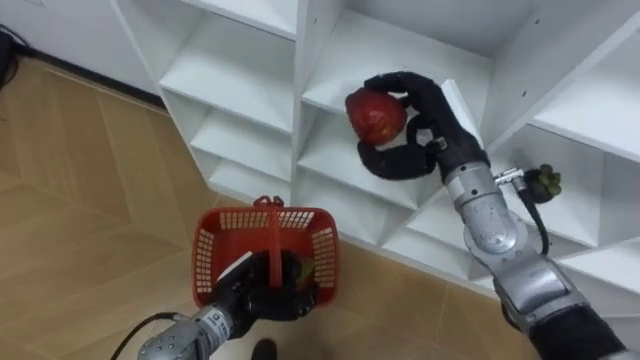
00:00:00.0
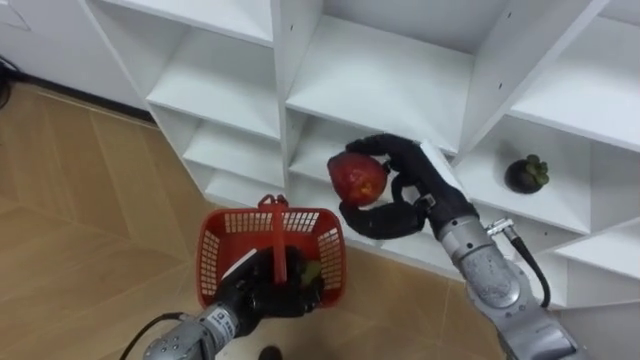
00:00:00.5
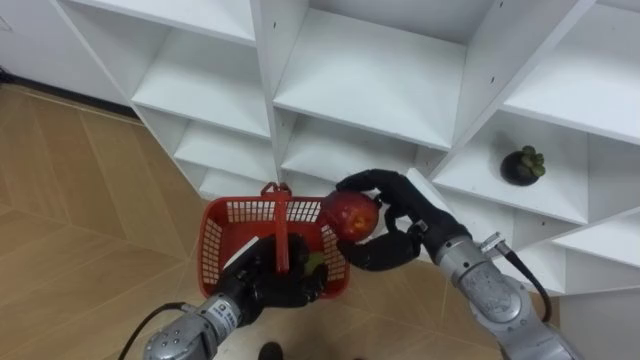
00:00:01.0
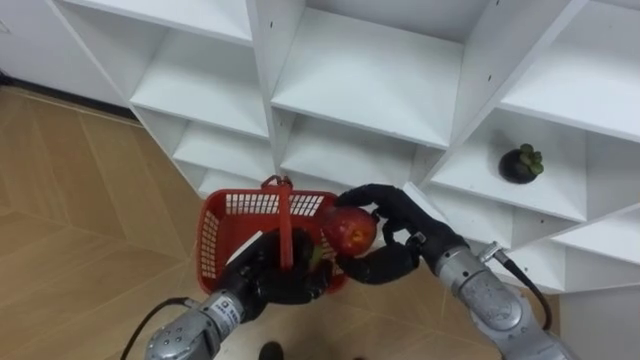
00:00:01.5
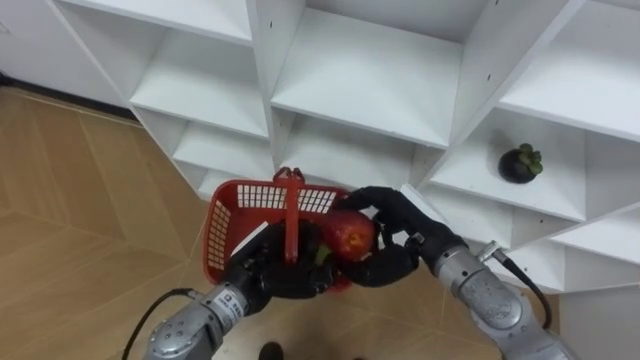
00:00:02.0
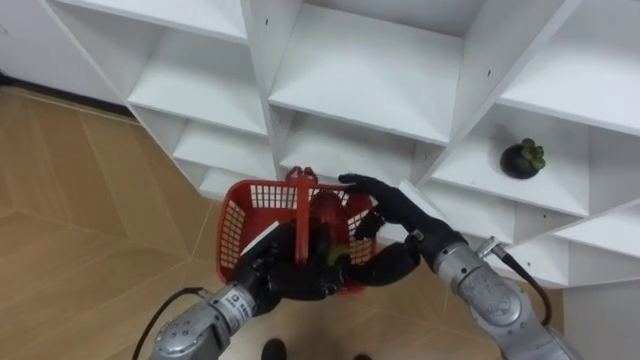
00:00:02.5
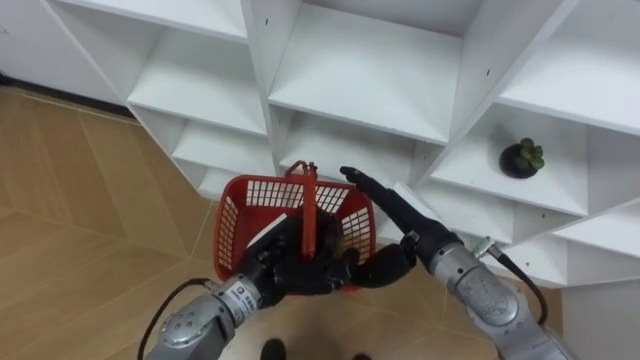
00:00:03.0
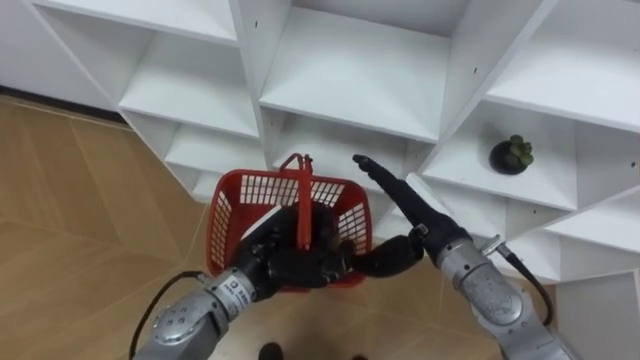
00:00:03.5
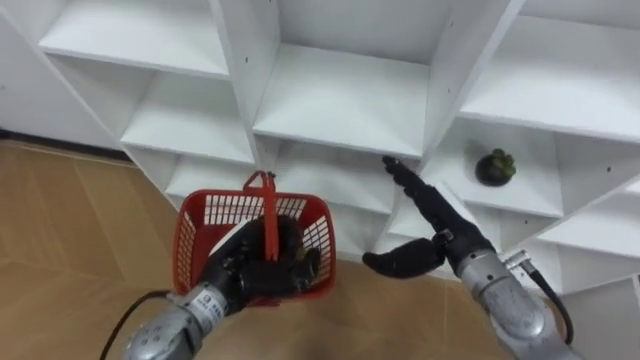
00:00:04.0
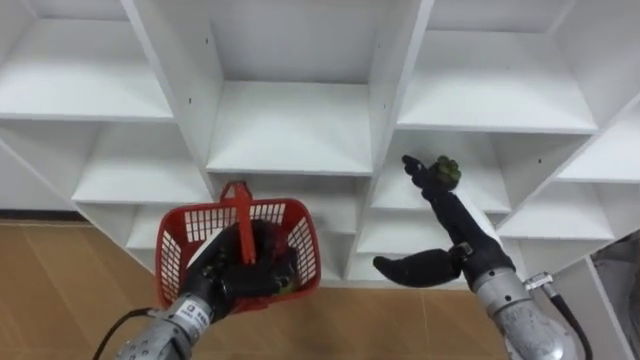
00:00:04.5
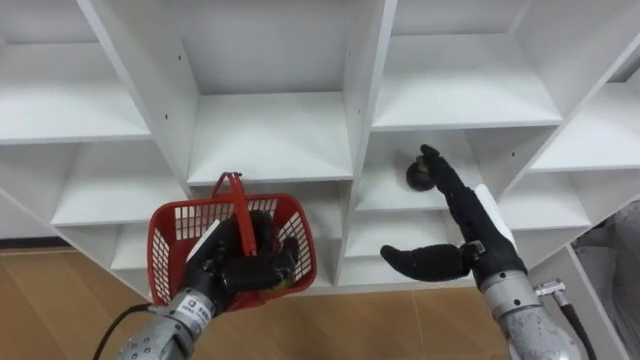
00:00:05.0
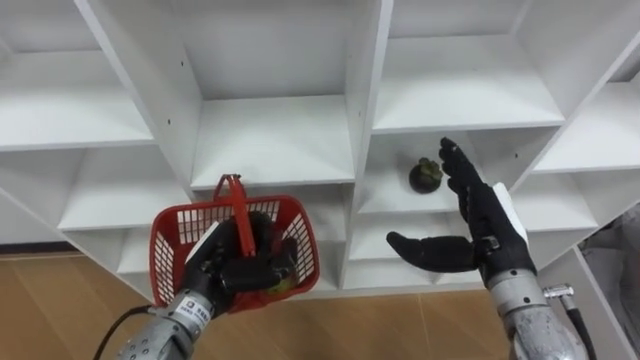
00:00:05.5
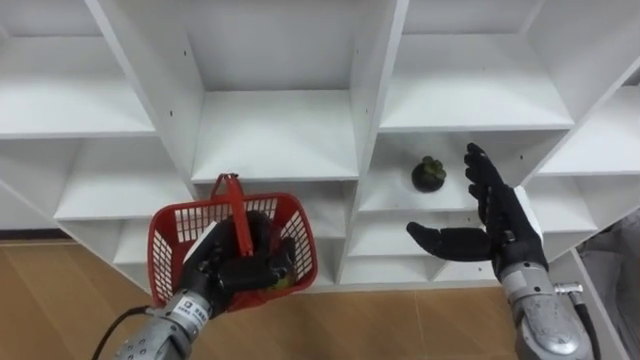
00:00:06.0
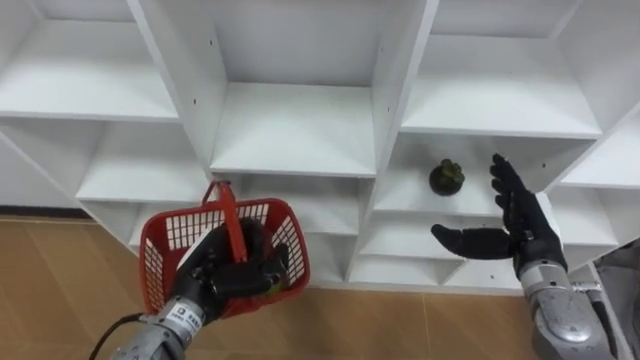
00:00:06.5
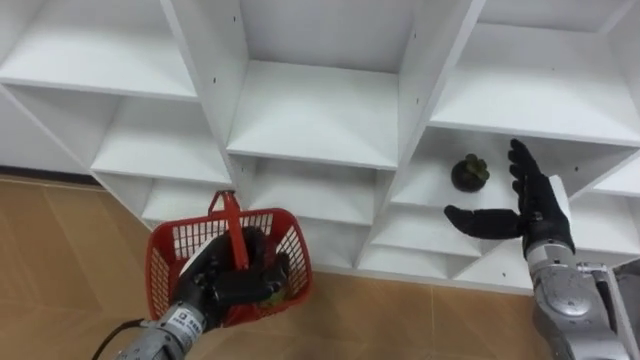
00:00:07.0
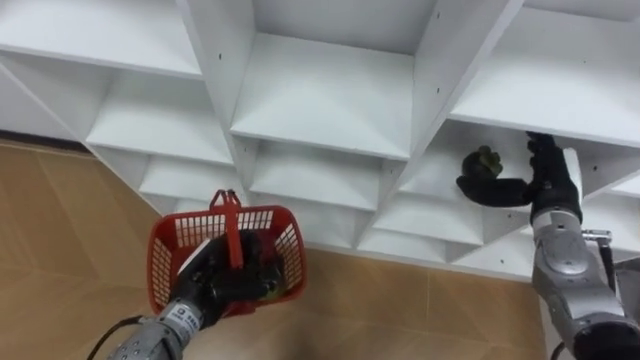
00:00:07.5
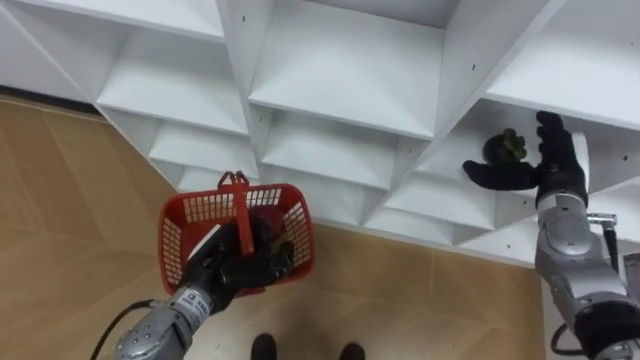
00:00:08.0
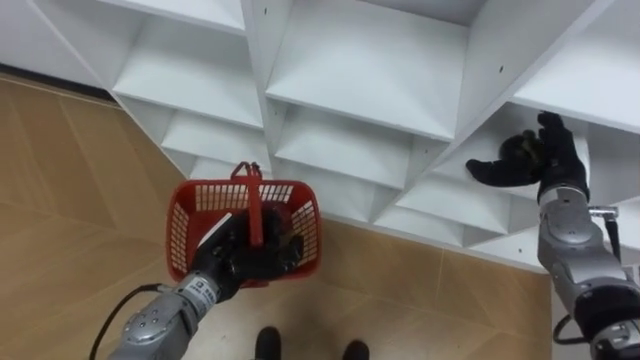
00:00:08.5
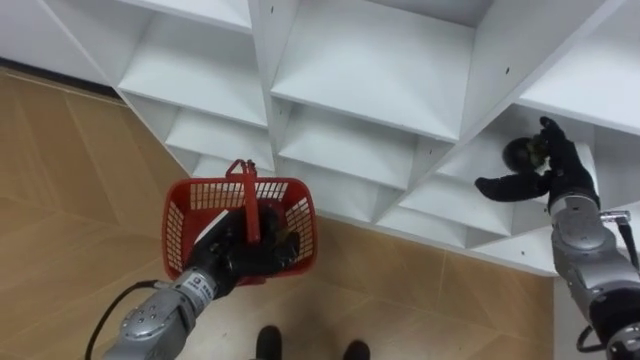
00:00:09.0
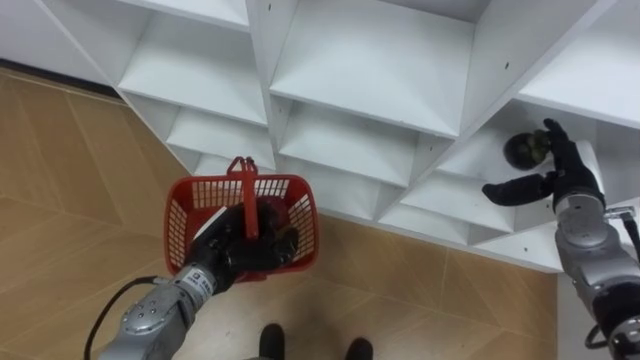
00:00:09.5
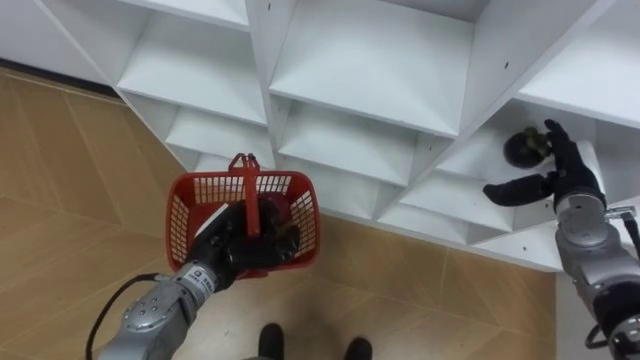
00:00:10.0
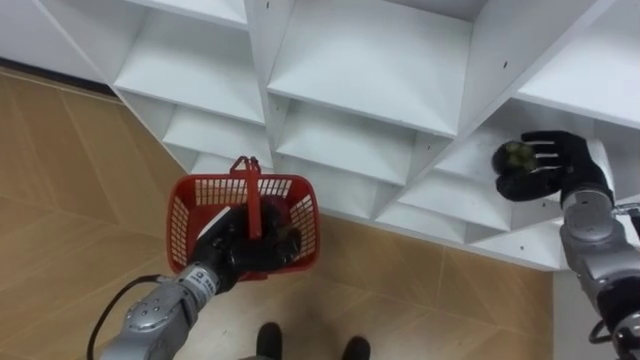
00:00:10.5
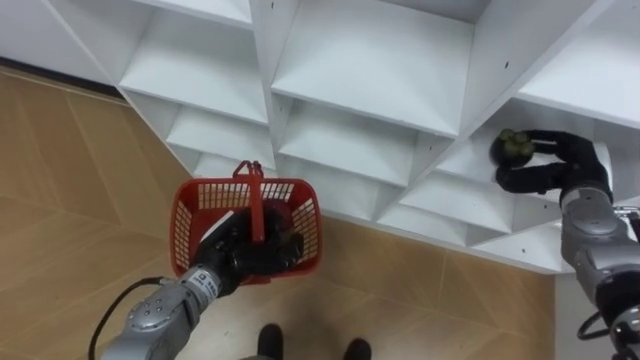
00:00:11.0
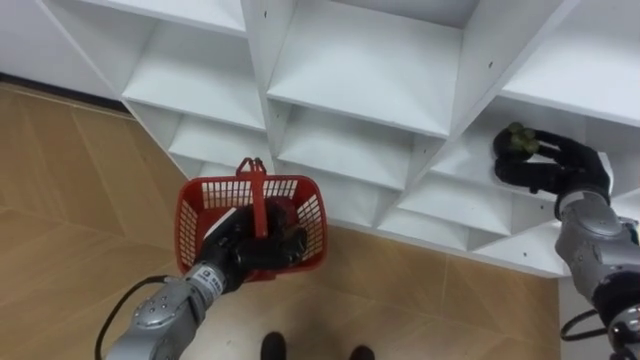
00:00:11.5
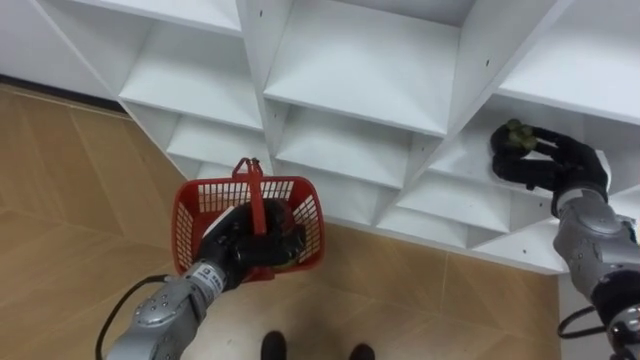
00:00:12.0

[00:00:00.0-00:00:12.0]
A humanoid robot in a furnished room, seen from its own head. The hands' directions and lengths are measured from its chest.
Task of the whole recording: Hold the basket and collect the fruits from 3 different cells of the closet into it.
00:00:00.0 to 00:00:02.0: The right hand travels downward and backward by some 10 cm, while the left hand shifts by roughly 5 cm.
00:00:02.0 to 00:00:04.0: The right hand opens up.
00:00:04.0 to 00:00:06.0: The right hand moves to the right, about 5 cm.
00:00:06.0 to 00:00:08.0: The right hand heads forward and to the right, covering approximately 10 cm.
00:00:10.0 to 00:00:12.0: The right hand closes up.

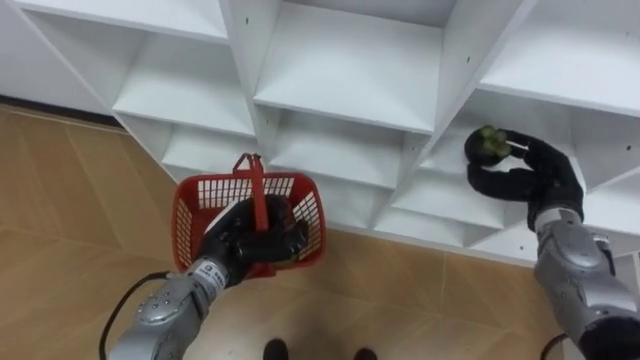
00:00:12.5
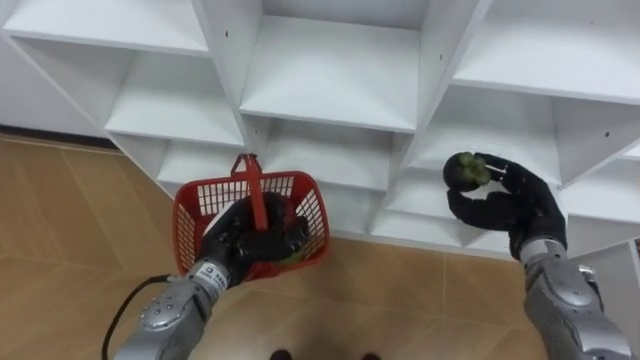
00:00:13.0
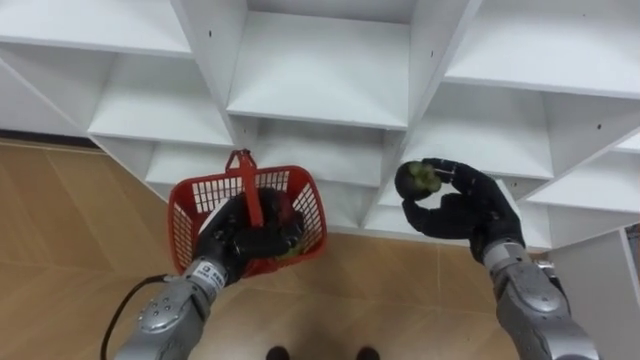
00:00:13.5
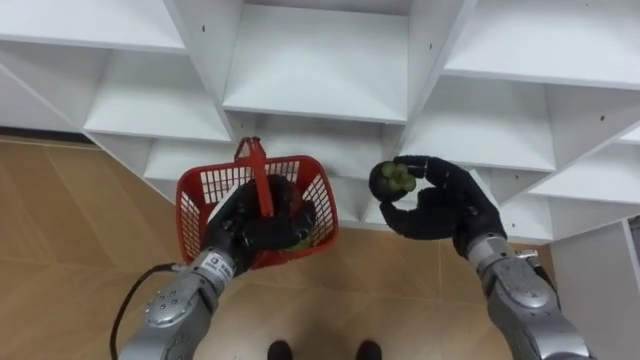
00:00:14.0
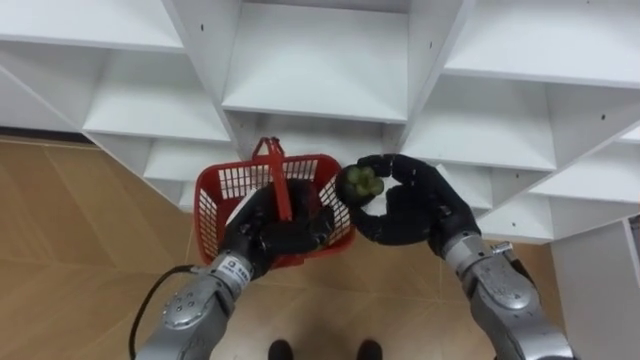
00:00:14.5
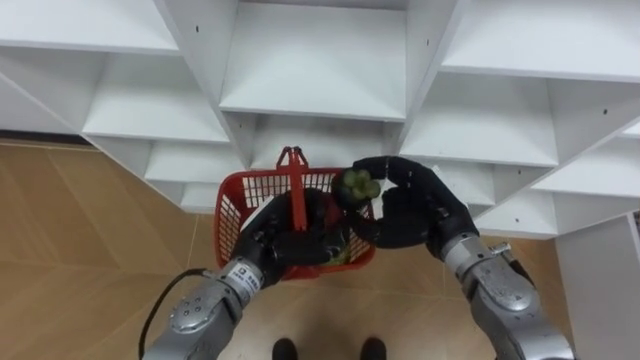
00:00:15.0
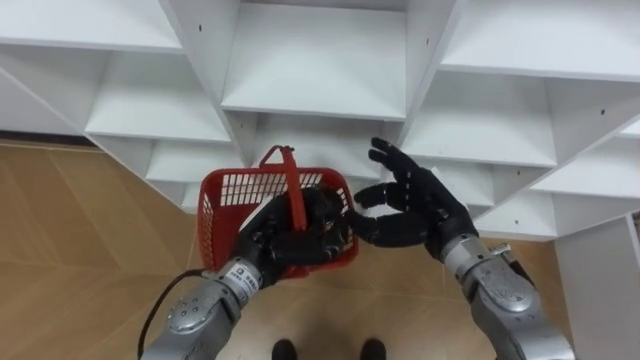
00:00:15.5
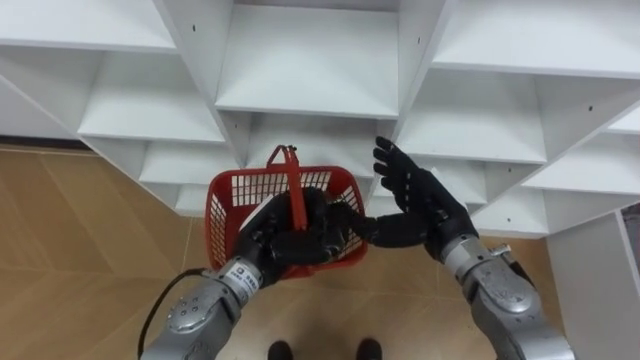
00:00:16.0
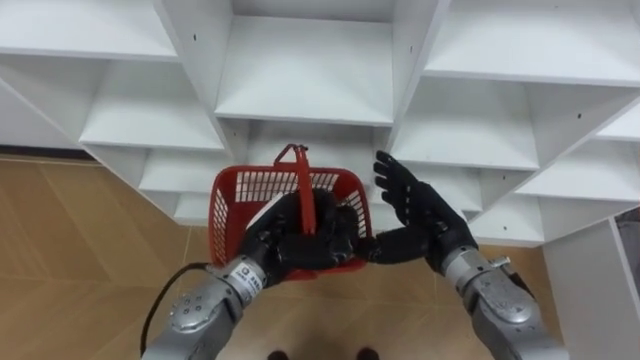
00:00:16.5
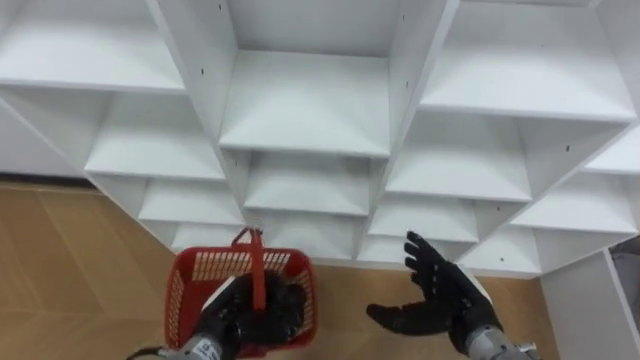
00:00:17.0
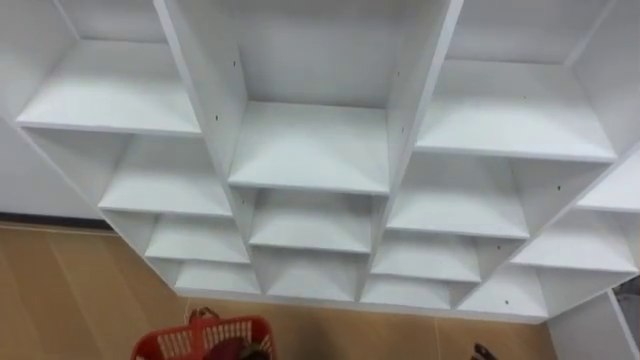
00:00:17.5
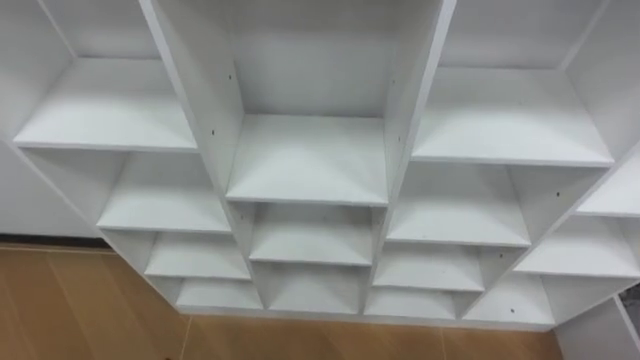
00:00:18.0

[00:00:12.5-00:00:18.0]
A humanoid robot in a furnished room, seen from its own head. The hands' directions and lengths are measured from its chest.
Task of the whole recording: Hold the basket and collect the fruits from 3 different cells of the closet into it.
00:00:12.5 to 00:00:14.5: The right hand heads to the left, covering about 15 cm.
00:00:14.5 to 00:00:16.0: The right hand opens up.

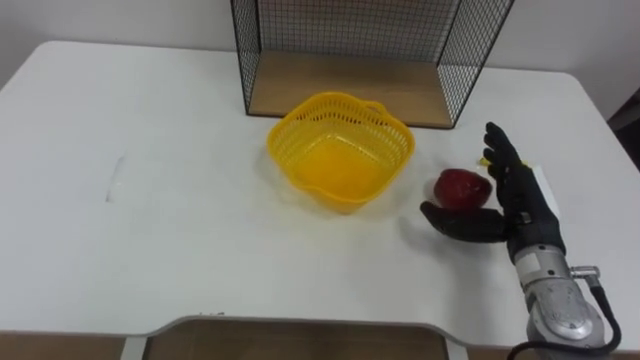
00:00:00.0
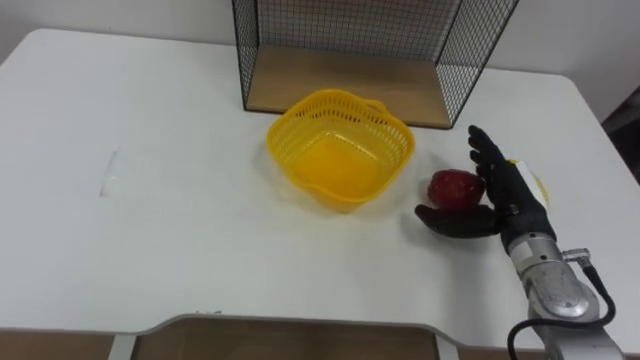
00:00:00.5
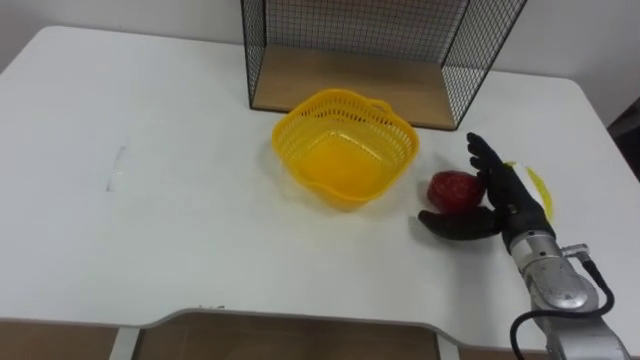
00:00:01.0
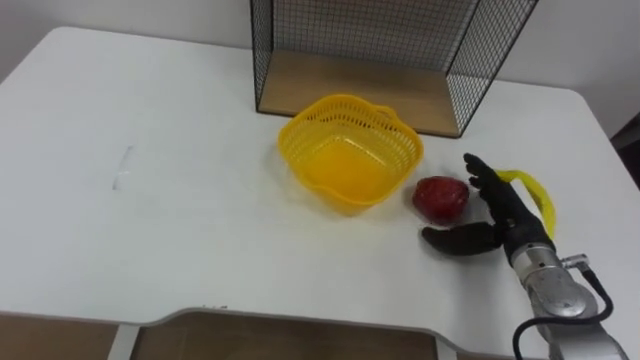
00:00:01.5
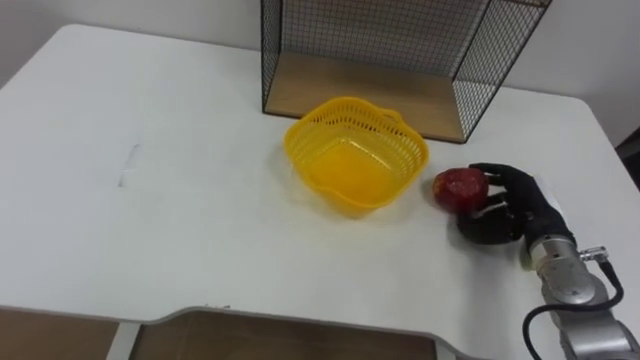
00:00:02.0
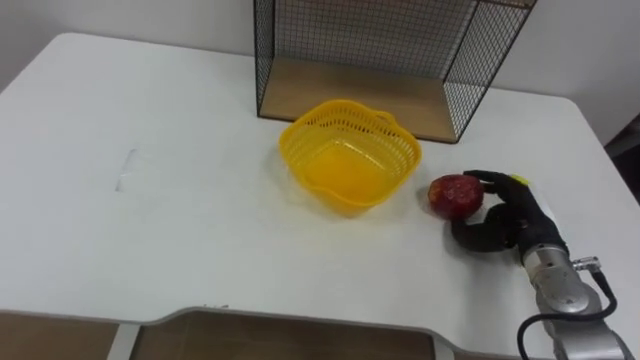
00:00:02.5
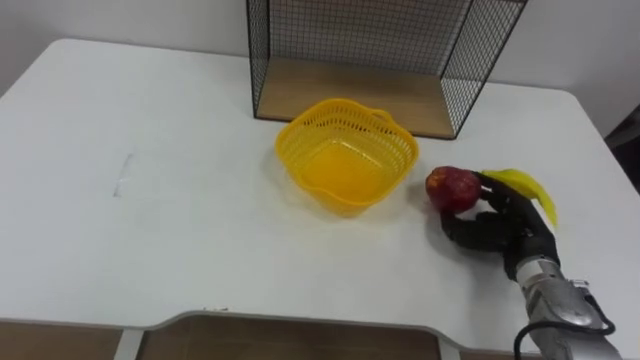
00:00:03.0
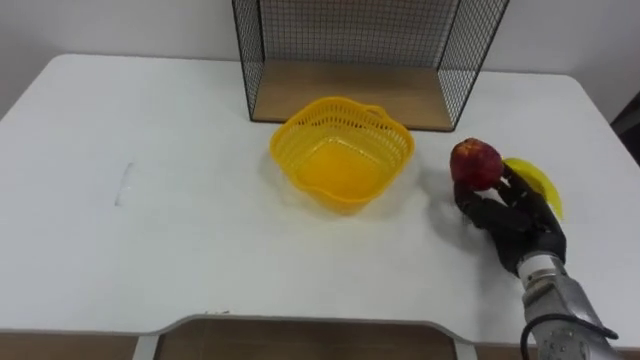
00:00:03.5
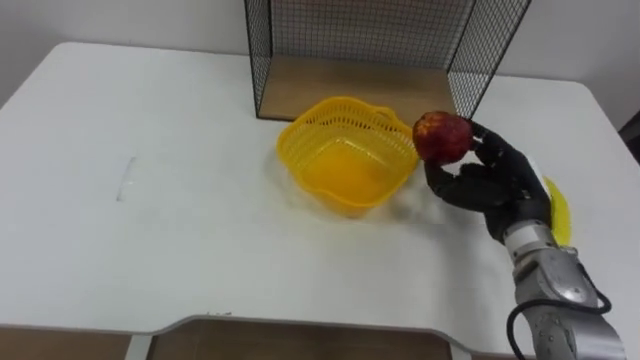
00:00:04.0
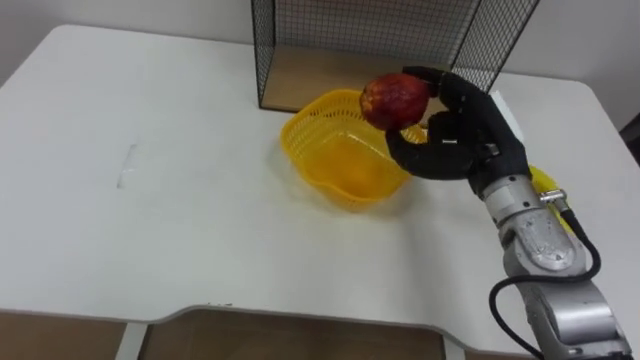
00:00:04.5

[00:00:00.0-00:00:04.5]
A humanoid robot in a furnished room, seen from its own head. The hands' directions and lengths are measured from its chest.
Task of the whole recording: Put the fruit on the table into the basket, then place the basket on the shelf.
00:00:00.0 to 00:00:02.0: The right hand moves downward, roughly 5 cm, and closes its fingers.
00:00:02.0 to 00:00:04.5: The right hand heads upward and to the left, covering roughly 15 cm.
